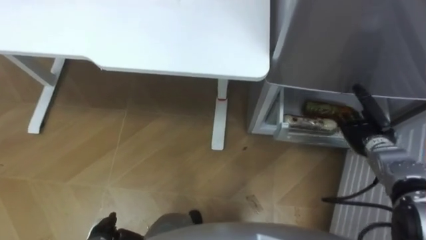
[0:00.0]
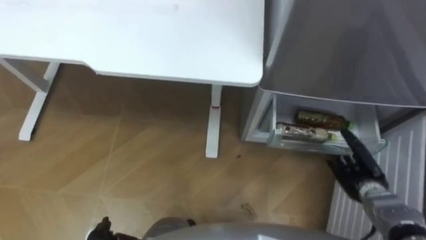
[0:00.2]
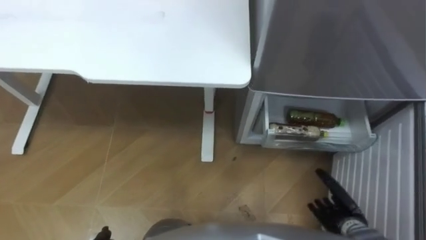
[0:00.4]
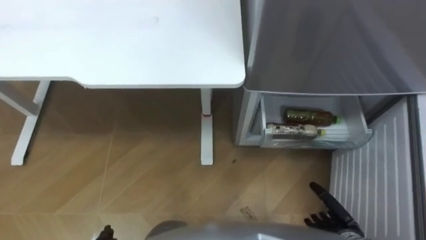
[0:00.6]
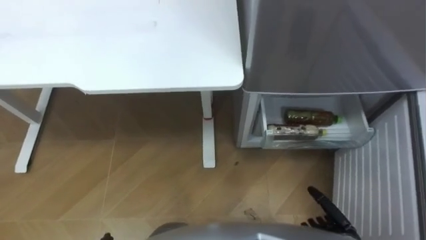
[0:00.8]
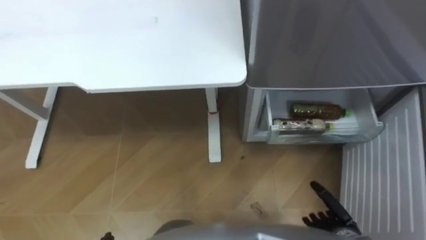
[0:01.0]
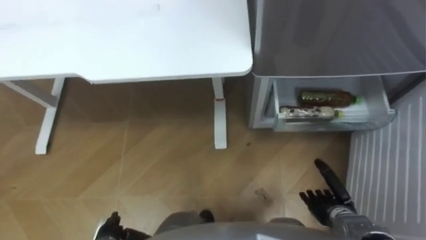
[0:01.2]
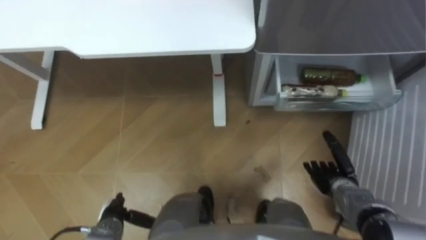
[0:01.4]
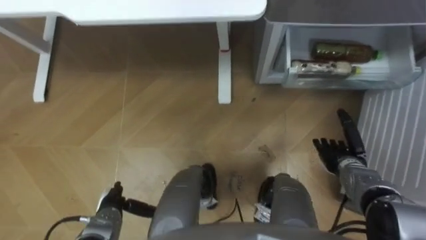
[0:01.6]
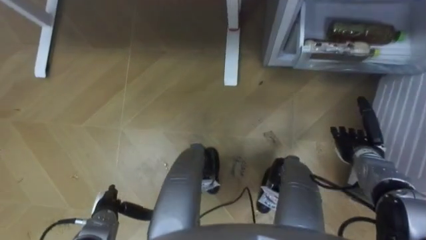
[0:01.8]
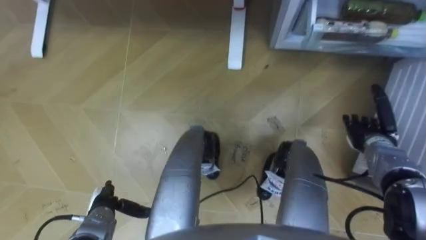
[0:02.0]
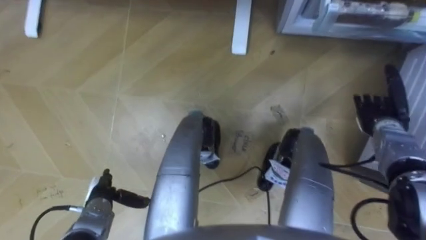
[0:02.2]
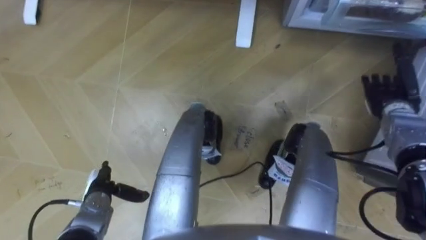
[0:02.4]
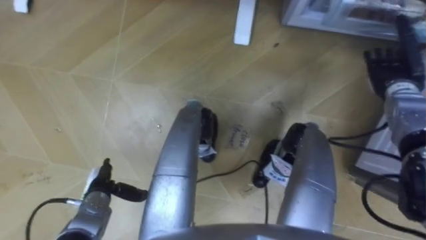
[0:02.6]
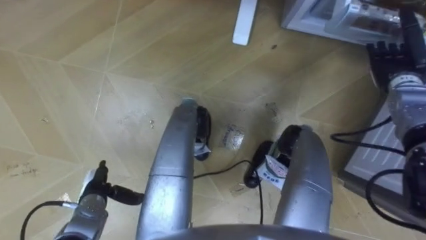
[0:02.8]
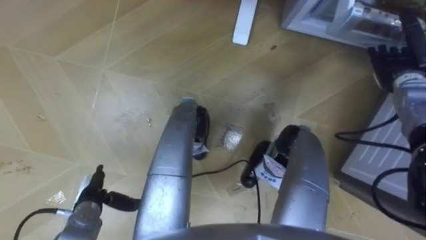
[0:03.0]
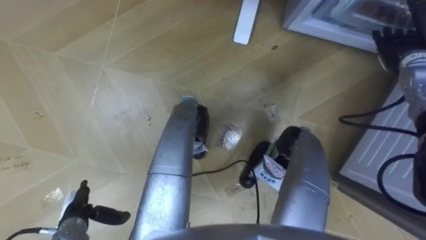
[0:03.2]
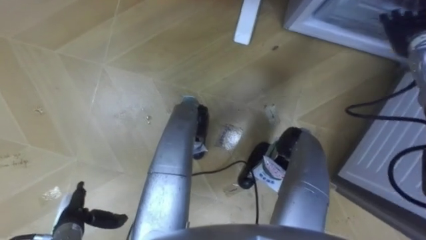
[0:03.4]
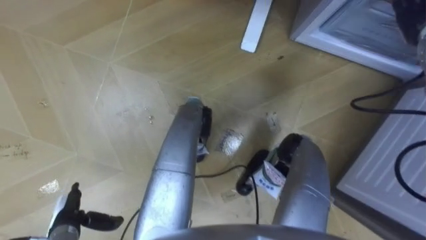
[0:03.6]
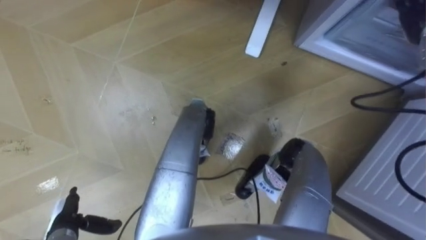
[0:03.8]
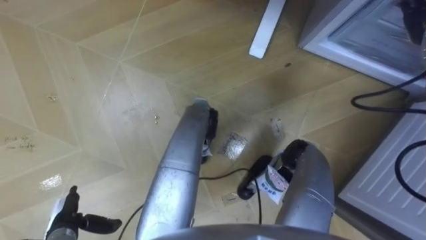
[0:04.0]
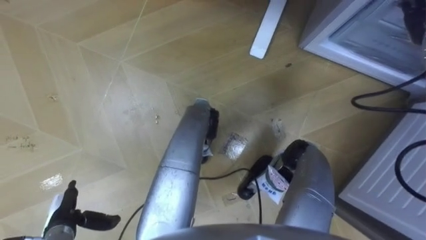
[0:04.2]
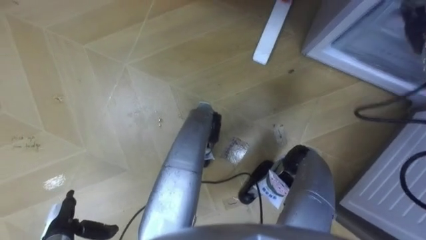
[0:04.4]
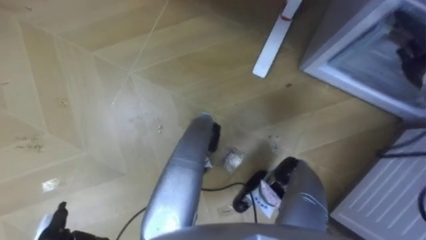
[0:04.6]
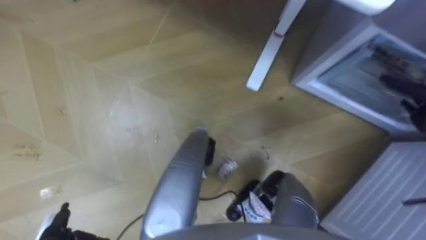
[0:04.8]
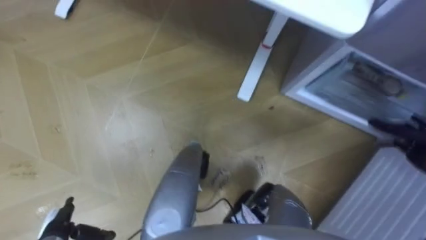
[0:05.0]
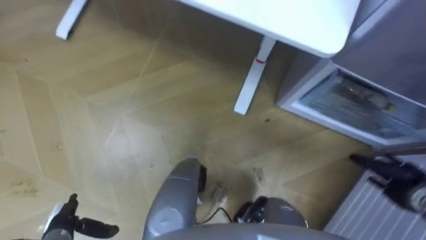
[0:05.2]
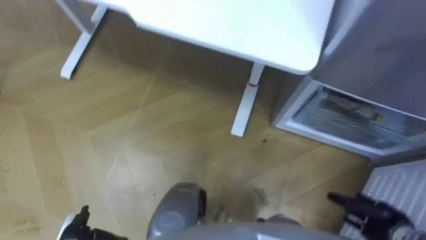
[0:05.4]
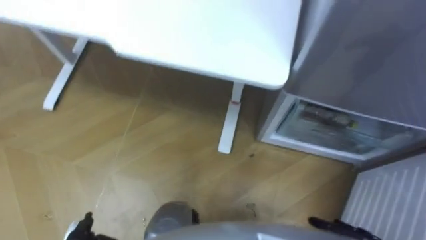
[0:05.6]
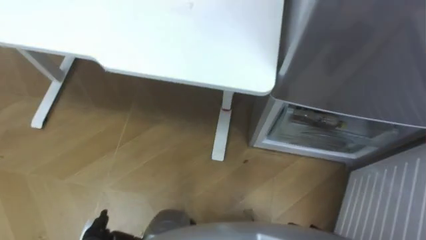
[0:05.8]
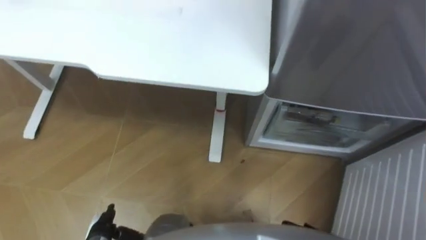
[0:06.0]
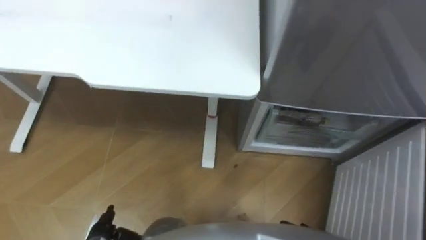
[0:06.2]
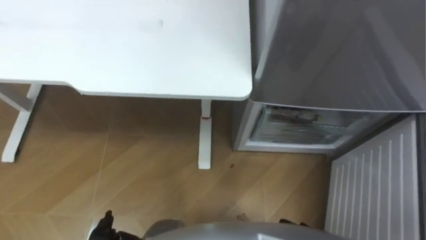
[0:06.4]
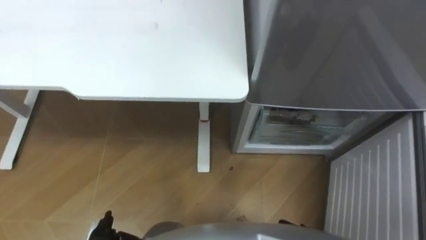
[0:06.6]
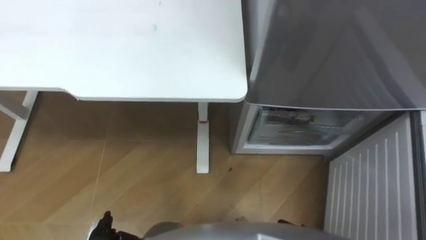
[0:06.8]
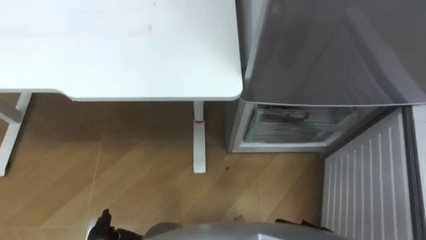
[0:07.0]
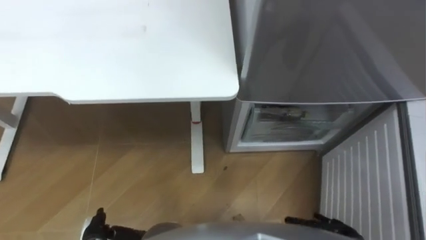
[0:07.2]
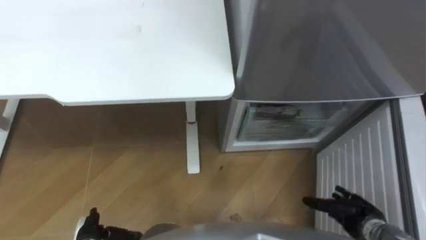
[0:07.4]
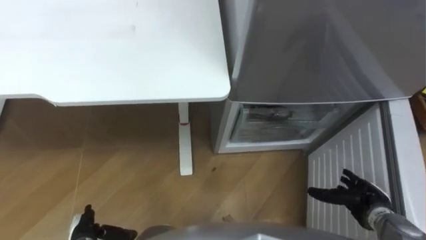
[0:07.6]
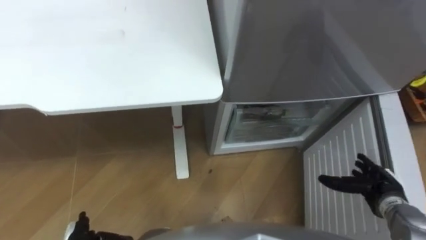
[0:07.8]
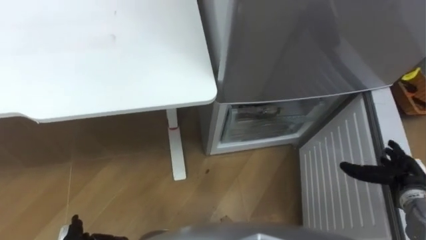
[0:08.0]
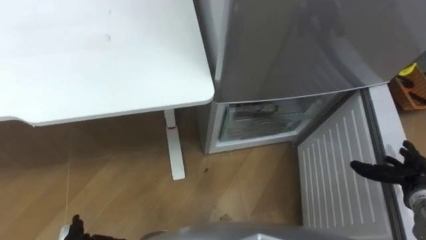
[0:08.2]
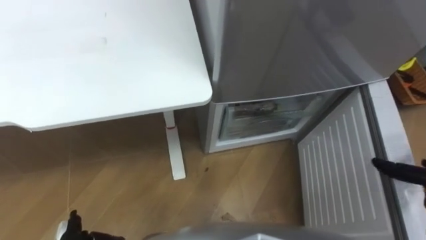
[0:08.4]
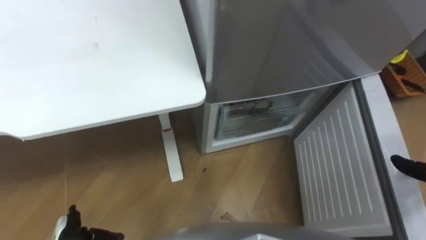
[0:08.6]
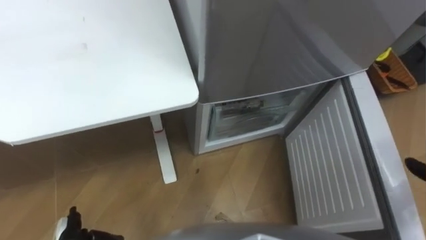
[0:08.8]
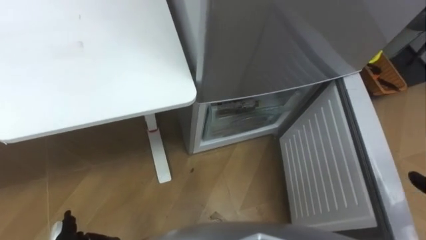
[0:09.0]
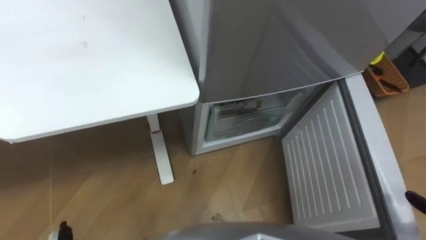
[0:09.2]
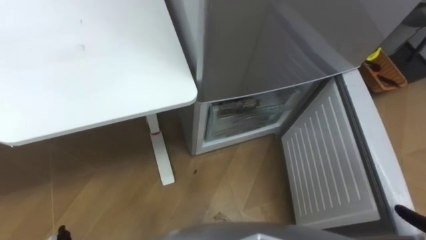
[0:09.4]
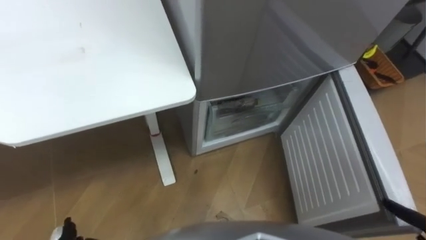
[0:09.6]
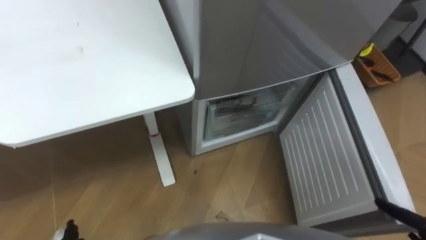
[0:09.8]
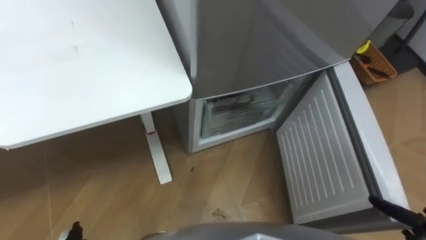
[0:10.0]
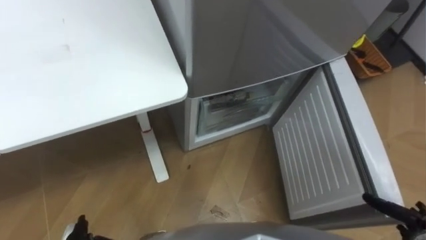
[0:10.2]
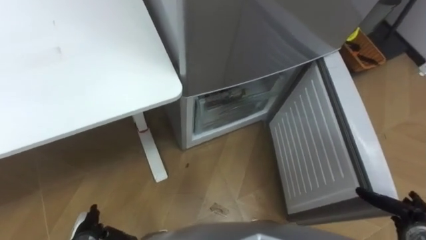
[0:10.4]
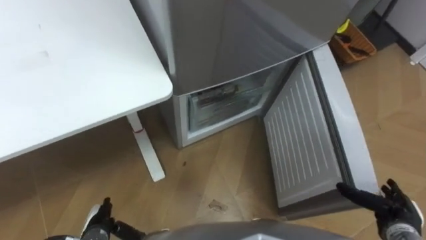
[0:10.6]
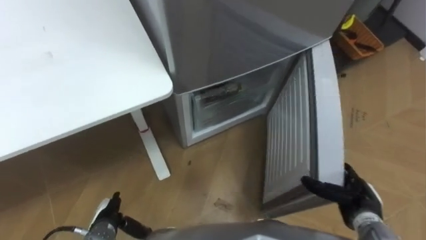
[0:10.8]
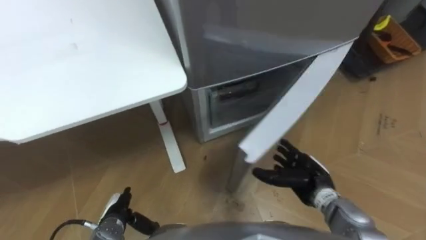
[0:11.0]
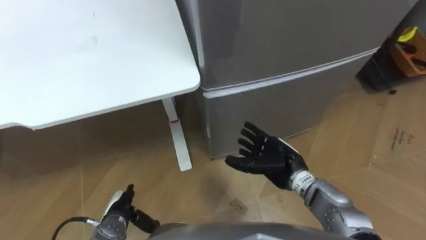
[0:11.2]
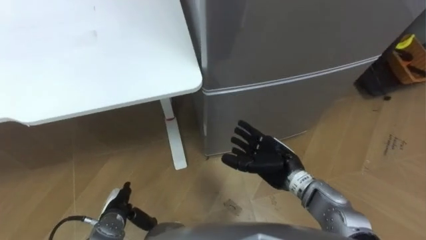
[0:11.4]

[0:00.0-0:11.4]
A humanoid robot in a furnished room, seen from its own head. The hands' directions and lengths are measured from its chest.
Task of the whole recording: Place the drink on the table on the bottom shelf of the refrigerator, then close the drawer and the refrigerator door.
0:00.0 to 0:01.4: The right hand is displaced backward, downward and to the left by roughly 15 cm.
0:01.4 to 0:02.8: The right hand travels forward, upward and to the right by about 25 cm. Meanwhile the left hand is displaced forward by some 5 cm.
0:02.8 to 0:04.2: The right hand heads upward, covering approximately 10 cm; the left hand goes approximately 5 cm backward.
0:10.0 to 0:11.4: The right hand shifts some 35 cm to the left and forward.

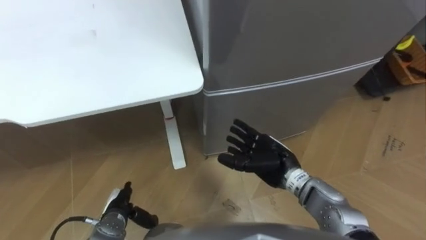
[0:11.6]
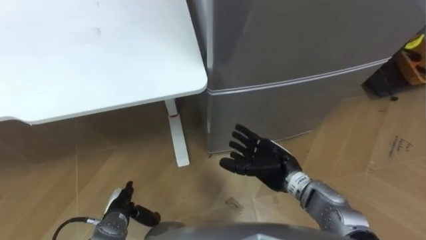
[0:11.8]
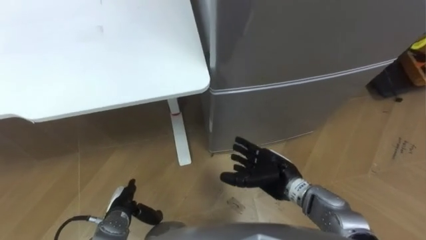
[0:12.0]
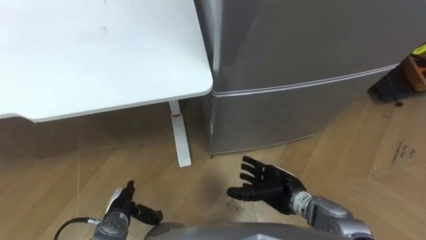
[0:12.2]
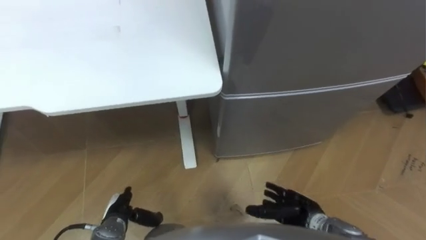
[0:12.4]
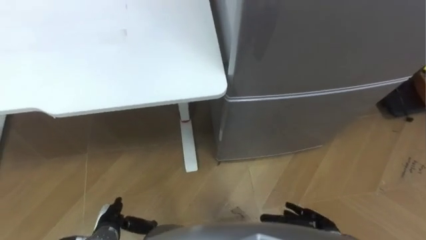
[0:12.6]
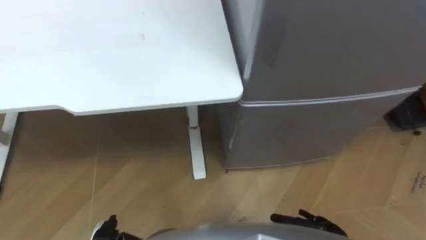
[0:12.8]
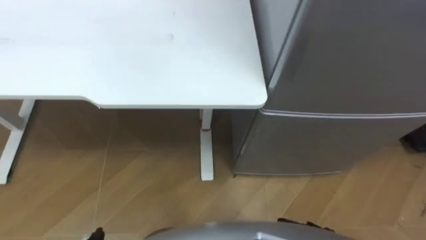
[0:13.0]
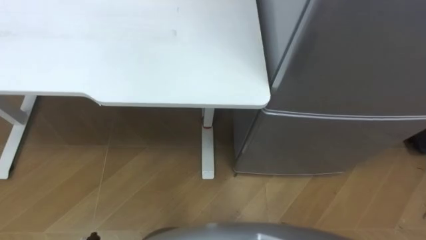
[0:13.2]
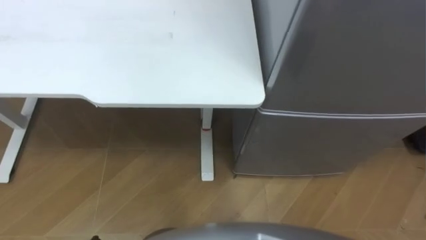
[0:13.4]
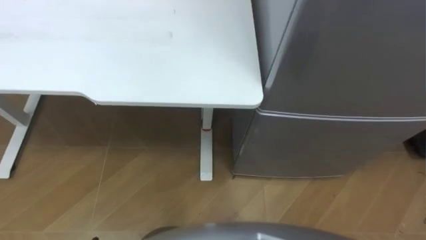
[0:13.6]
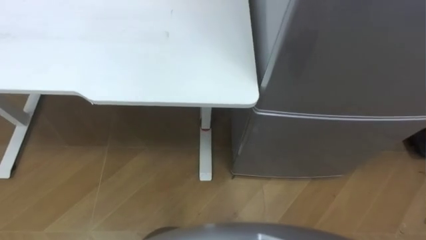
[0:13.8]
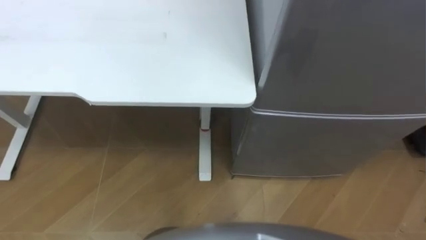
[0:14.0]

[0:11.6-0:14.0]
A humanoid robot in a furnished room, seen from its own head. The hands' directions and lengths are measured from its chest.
Task of the whole recording: Place the drink on the table on the bottom shelf of the refrigerator, then close the drawer and the refrigerator door.
0:11.6 to 0:12.8: The left hand heads backward, covering some 5 cm; the right hand travels backward, to the right and downward by roughly 20 cm.

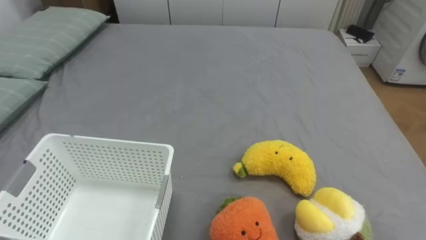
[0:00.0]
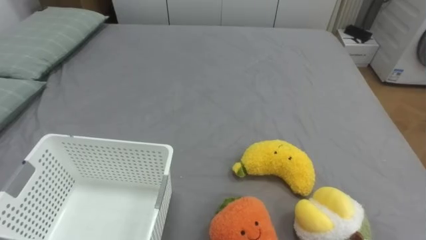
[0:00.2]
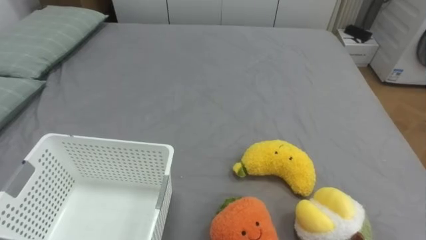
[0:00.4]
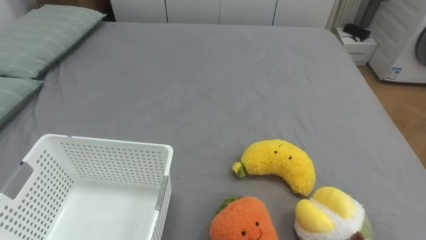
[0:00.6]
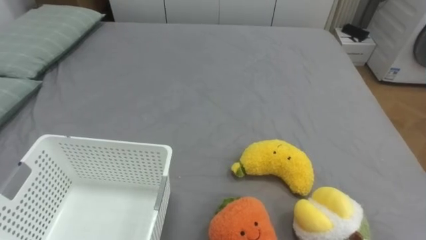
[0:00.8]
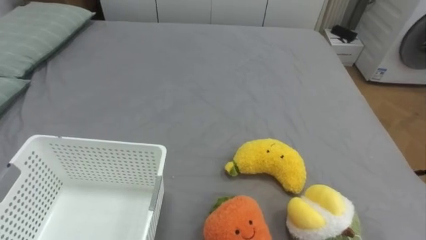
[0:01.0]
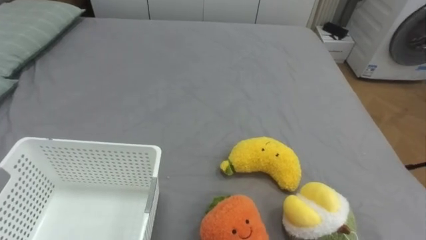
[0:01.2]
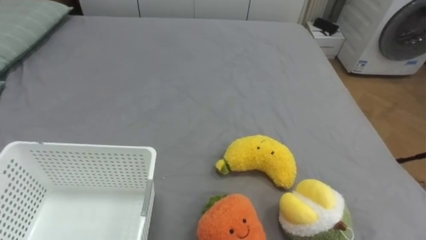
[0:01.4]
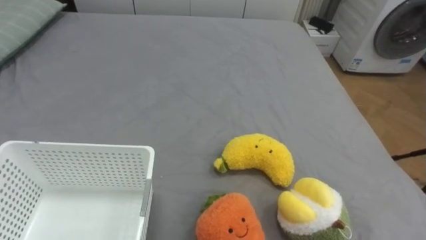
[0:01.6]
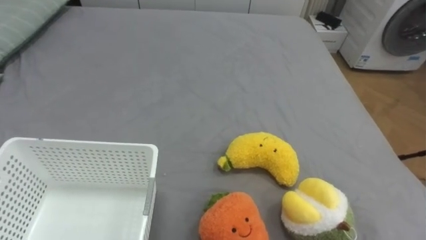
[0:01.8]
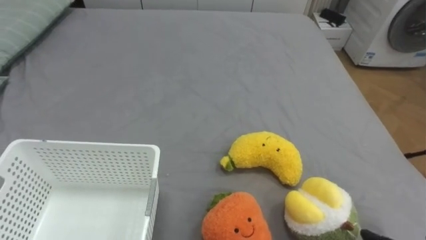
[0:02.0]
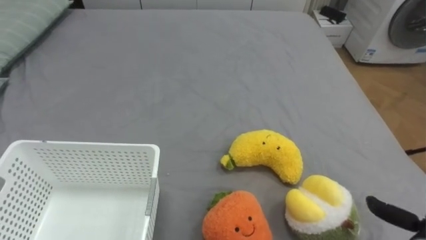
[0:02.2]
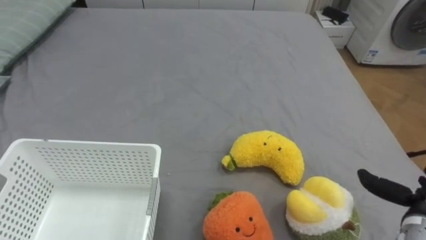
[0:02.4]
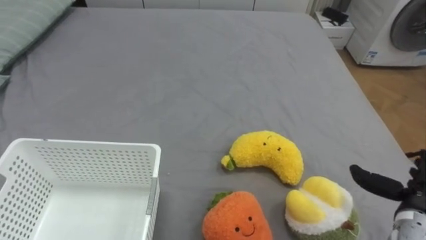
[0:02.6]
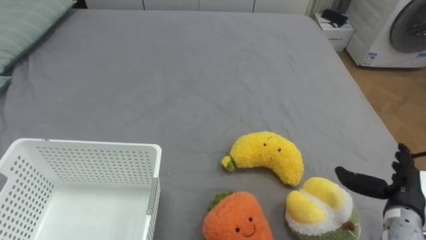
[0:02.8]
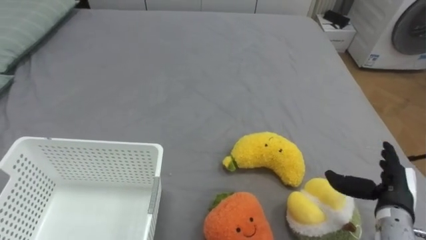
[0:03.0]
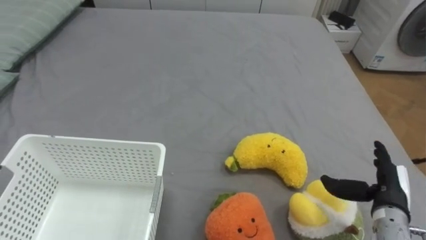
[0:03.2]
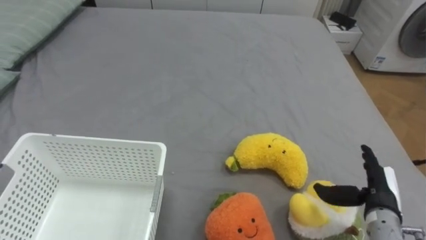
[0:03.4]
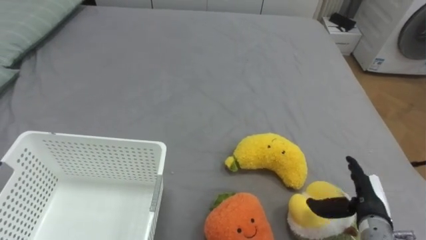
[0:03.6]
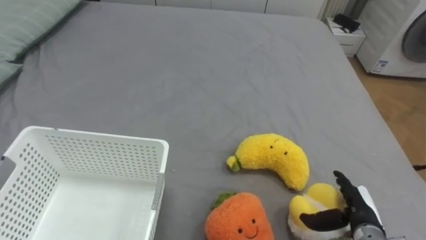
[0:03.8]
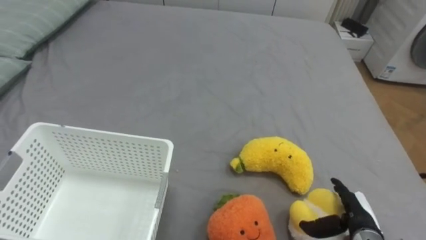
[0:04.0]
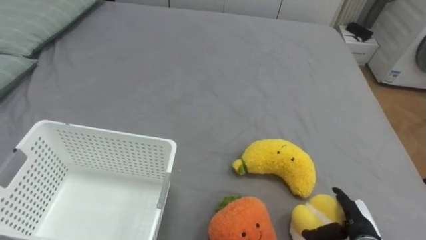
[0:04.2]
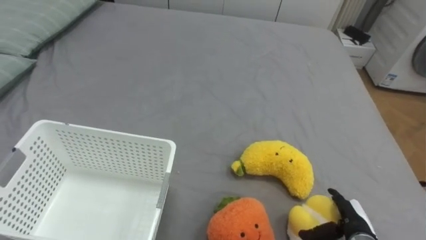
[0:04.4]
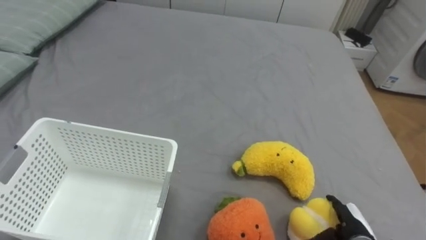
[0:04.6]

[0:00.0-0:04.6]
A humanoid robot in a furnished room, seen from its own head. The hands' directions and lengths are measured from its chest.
Task of the whole recording: Put the toys on the bed into the basket on the left.
0:03.0 to 0:04.6: The right hand shifts about 10 cm downward.
